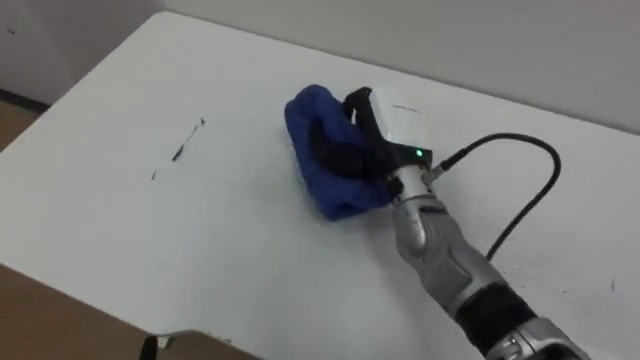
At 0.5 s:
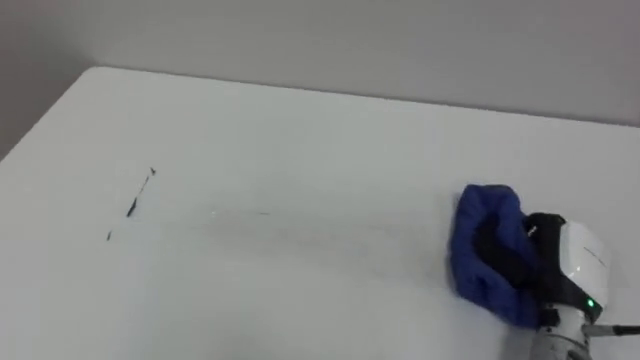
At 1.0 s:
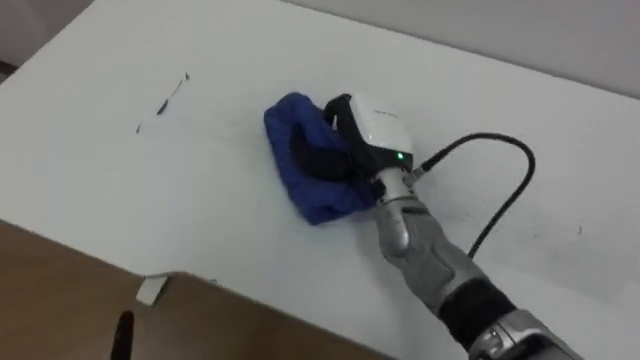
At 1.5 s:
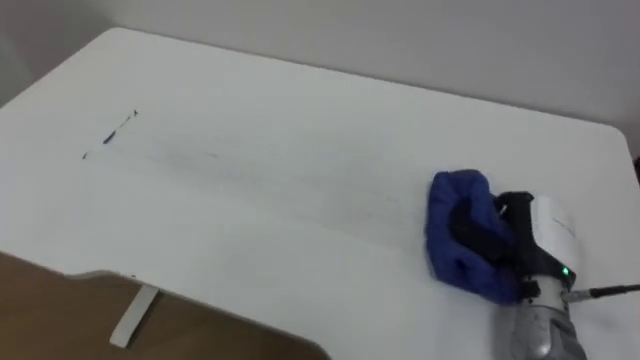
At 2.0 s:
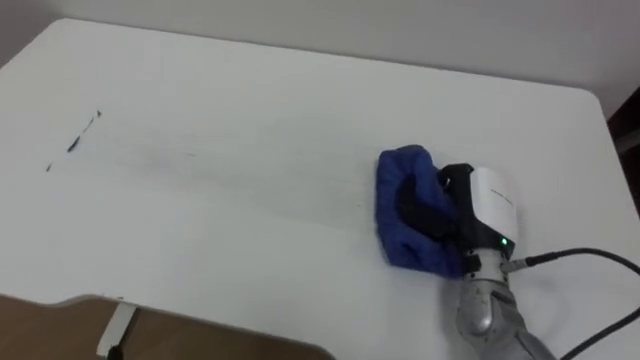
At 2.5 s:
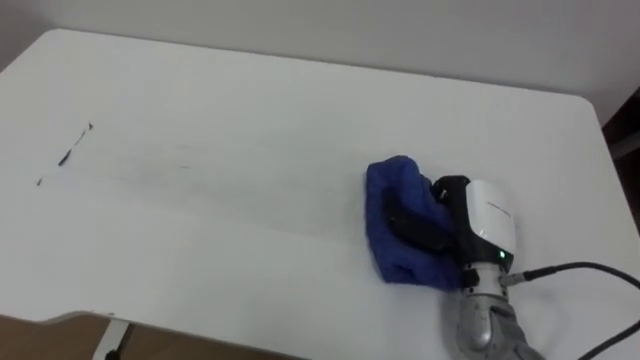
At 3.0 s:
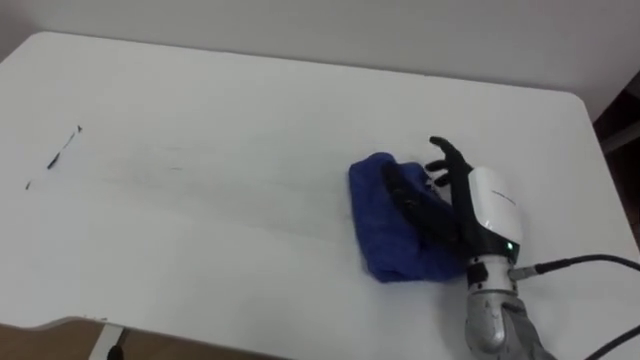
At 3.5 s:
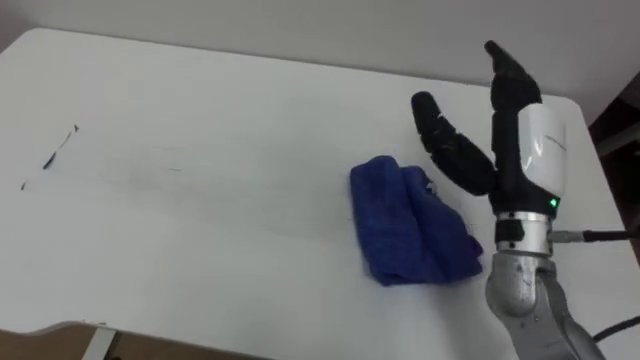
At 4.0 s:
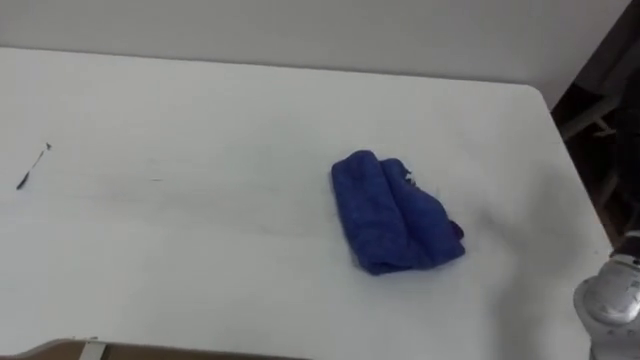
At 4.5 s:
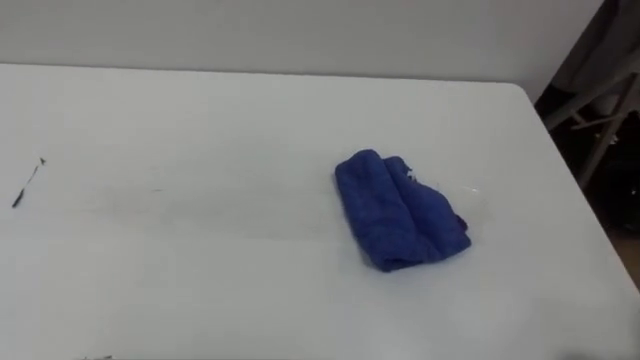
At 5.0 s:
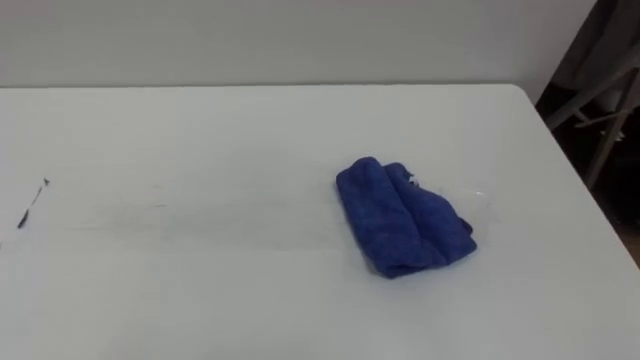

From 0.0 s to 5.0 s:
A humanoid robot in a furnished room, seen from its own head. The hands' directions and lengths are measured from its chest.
Task of the whole recording: Wipe the blue pen marks off the table with the rag.
From 0.0 s to 2.5 s: The right hand goes left and right, roughly 25 cm each way, reversing 3 times.
